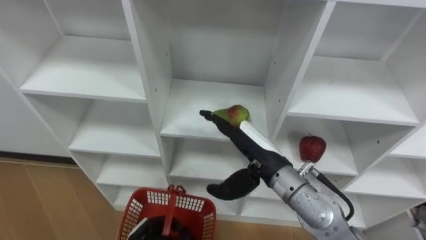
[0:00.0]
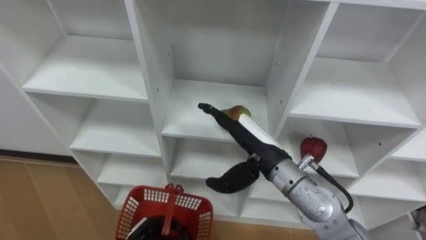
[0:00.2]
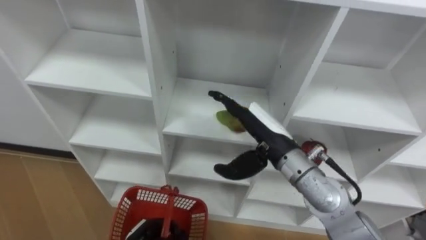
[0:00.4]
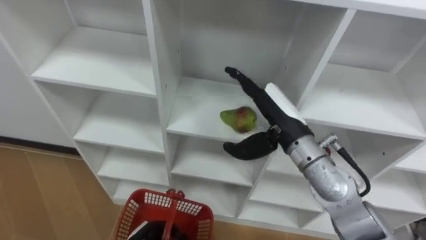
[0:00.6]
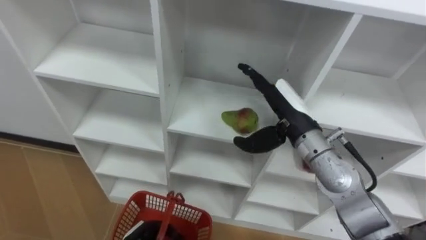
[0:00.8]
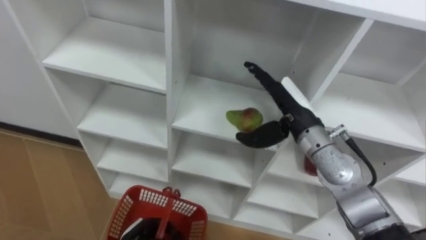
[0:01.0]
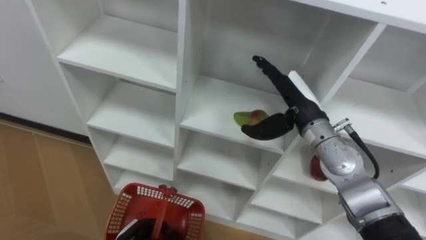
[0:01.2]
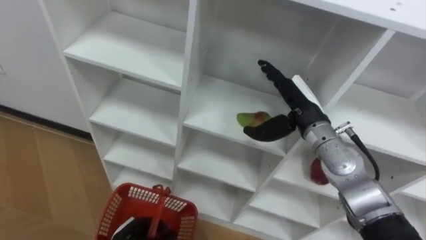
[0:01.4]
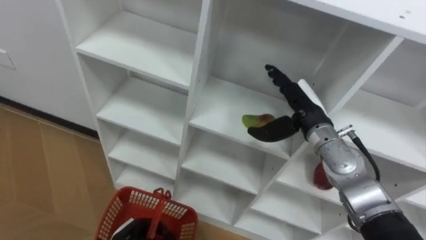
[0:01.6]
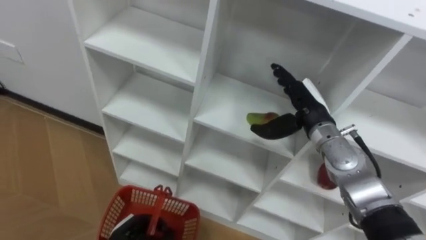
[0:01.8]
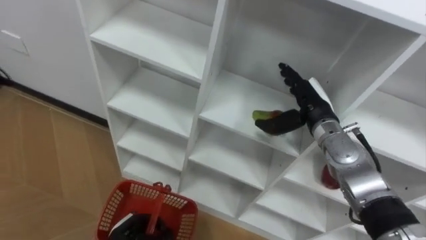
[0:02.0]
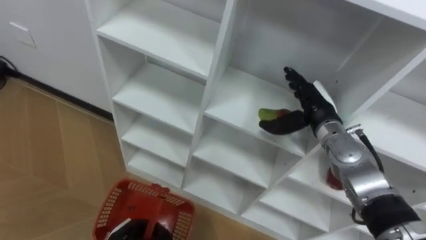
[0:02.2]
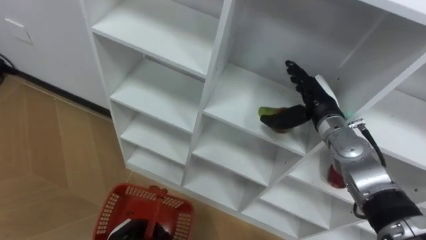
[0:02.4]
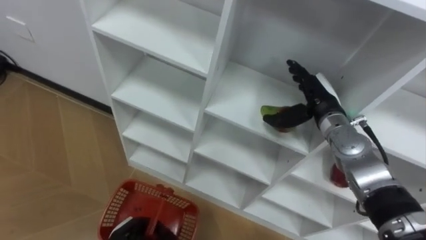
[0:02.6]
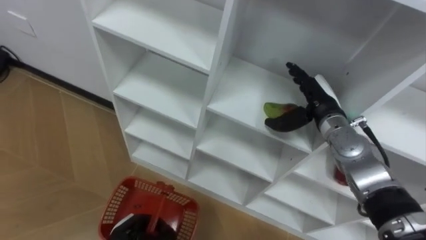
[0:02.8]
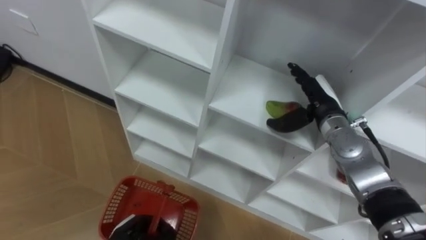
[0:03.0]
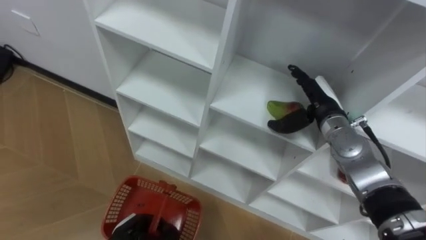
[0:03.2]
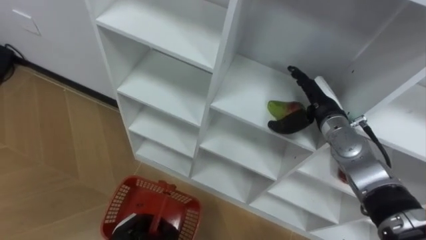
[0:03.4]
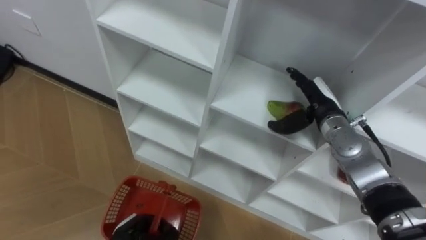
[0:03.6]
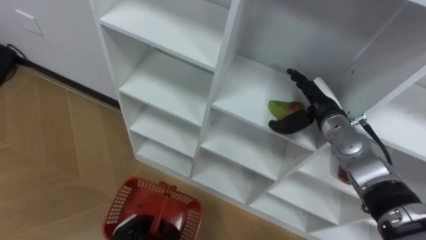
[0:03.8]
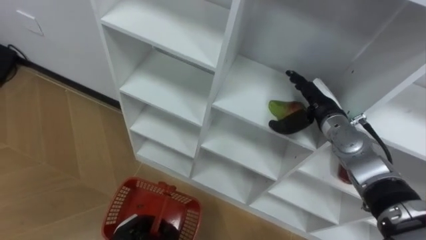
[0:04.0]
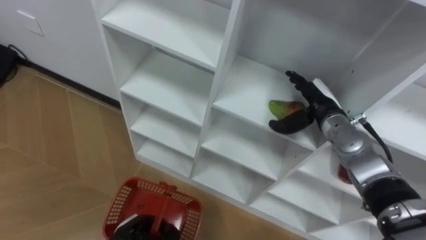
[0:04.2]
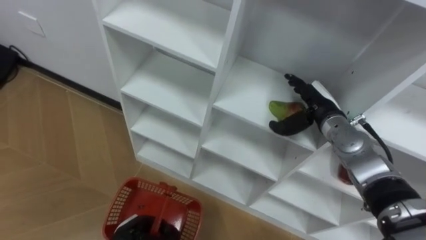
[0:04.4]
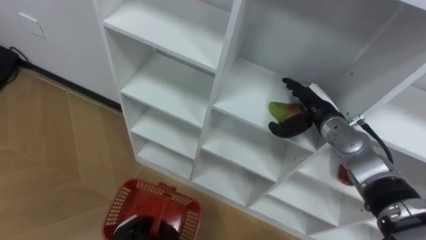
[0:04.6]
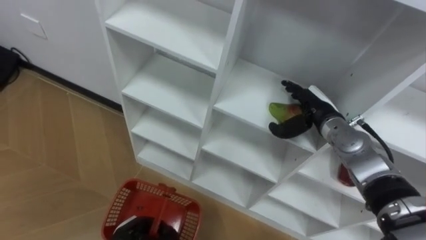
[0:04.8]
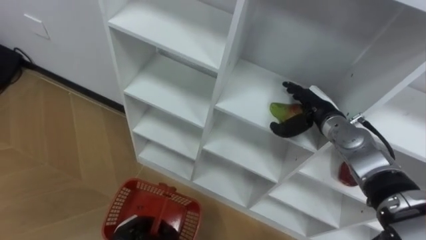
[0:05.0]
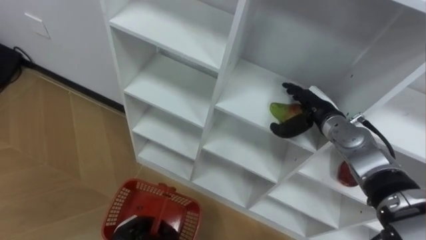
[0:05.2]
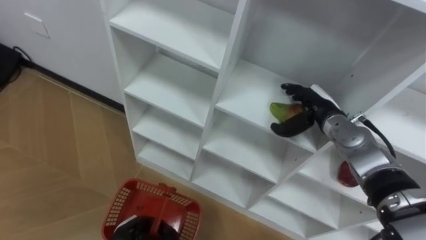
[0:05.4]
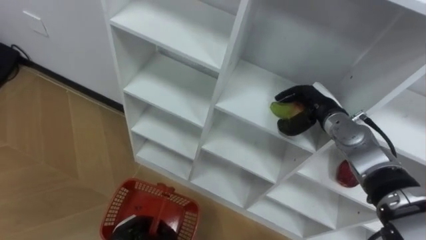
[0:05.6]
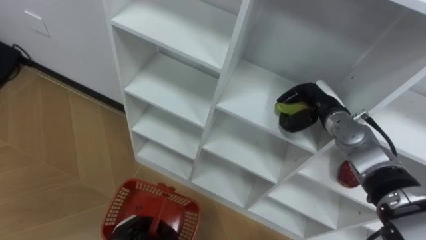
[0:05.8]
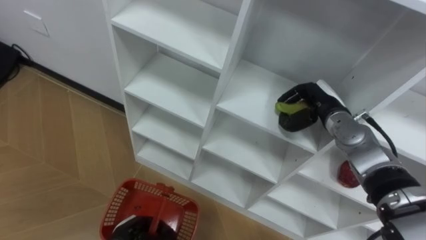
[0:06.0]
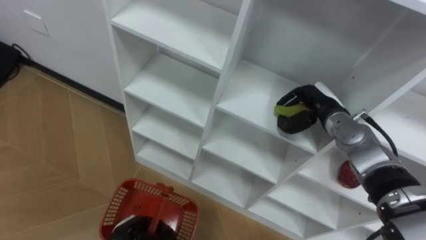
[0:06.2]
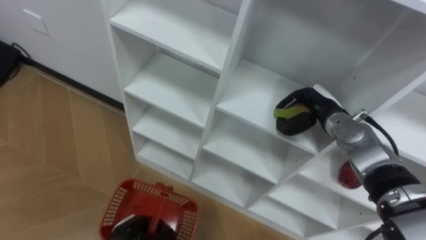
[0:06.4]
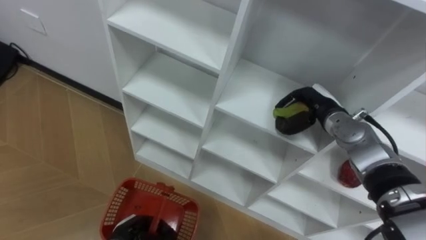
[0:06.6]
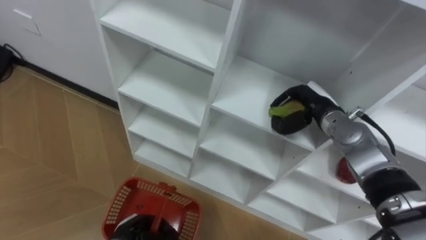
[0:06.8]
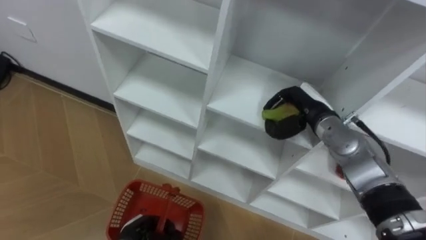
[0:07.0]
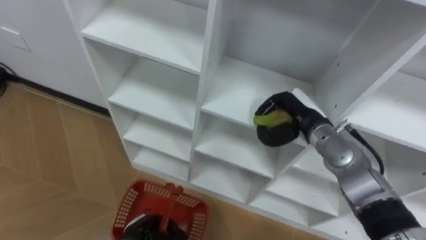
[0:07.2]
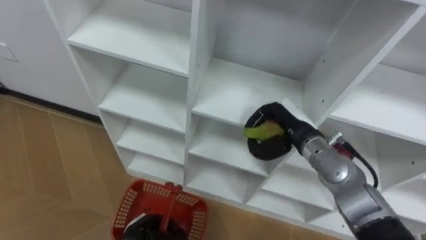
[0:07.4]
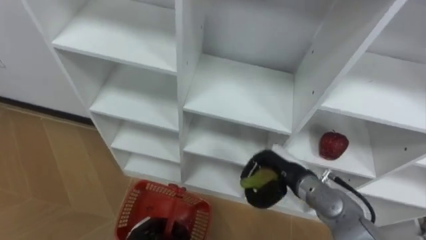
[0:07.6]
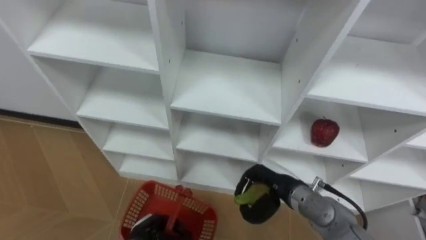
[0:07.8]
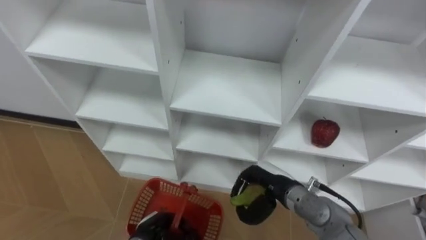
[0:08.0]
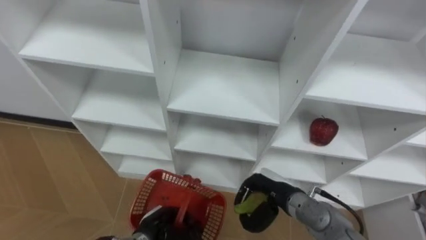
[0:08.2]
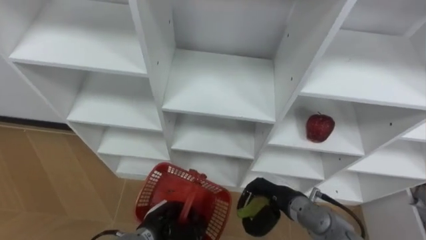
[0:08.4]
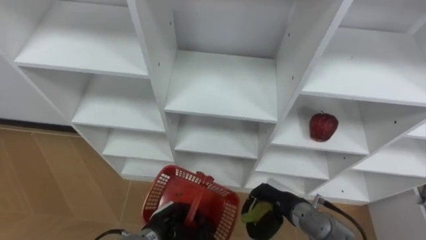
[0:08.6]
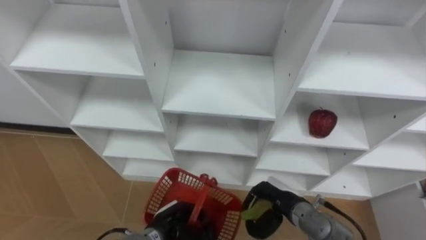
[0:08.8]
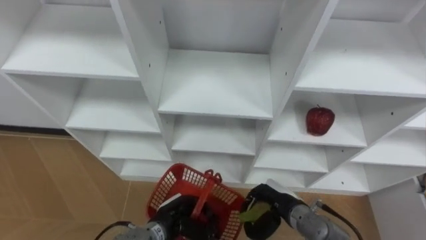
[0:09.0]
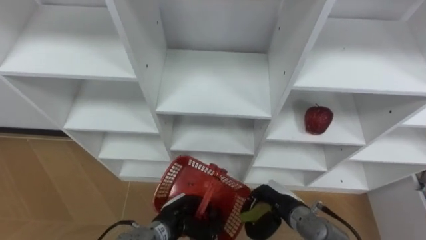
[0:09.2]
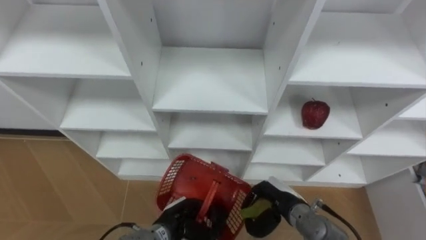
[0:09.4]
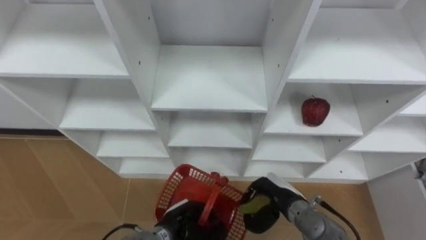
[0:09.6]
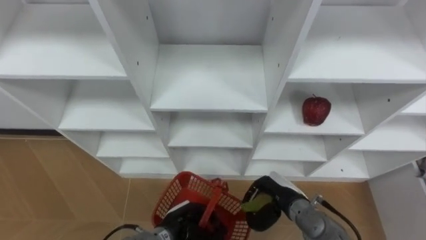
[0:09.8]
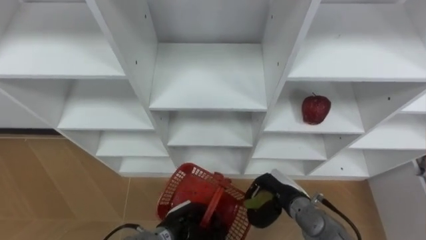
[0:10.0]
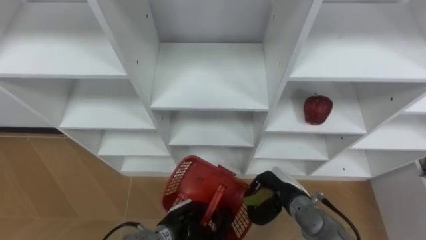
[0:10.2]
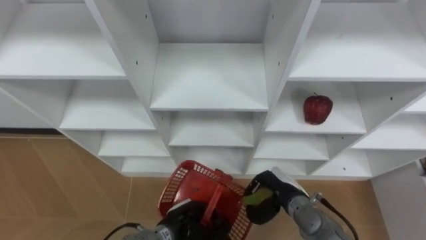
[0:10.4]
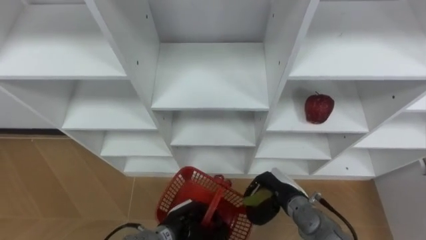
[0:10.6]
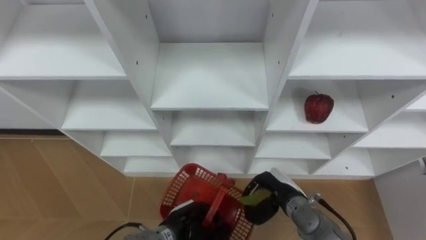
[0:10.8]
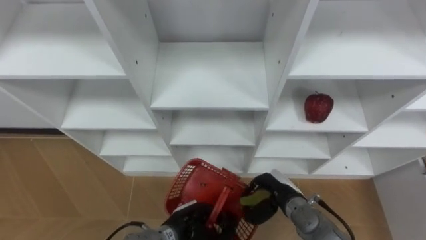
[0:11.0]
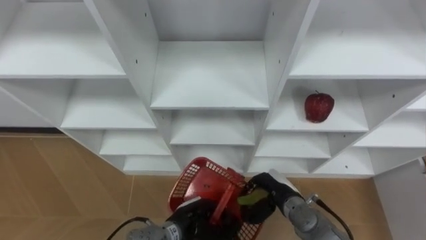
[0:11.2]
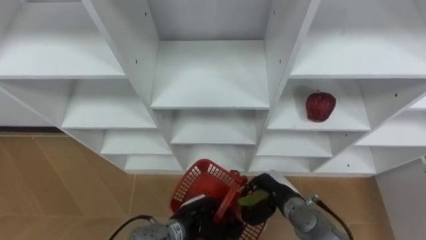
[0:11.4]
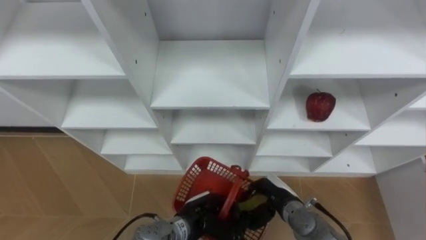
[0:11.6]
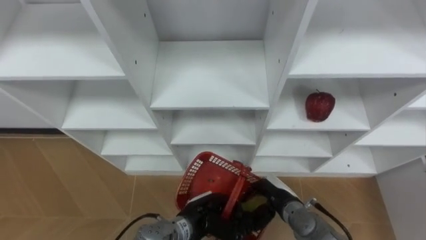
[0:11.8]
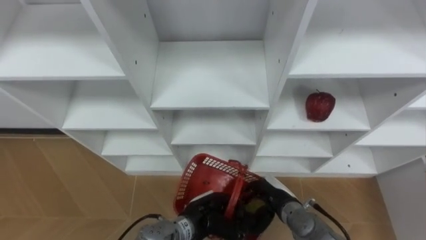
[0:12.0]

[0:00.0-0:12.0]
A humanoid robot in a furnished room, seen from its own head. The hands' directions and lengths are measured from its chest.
Task of the whole recording: Hold the basket and collect the fruits from 3 different cells of the closet into it.
0:00.0 to 0:01.6: The right hand shifts some 15 cm to the right and forward.
0:04.4 to 0:06.0: The right hand closes up.
0:06.0 to 0:07.6: The right hand goes roughly 15 cm backward, to the left and downward.
0:07.6 to 0:09.0: The right hand goes about 10 cm downward and backward; the left hand heads to the right, covering about 5 cm.
0:10.4 to 0:12.0: The left hand is displaced to the right by some 5 cm.

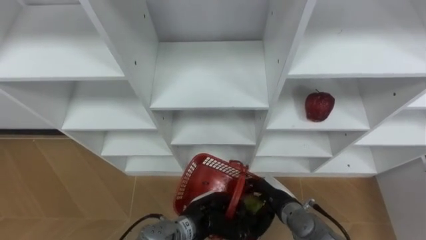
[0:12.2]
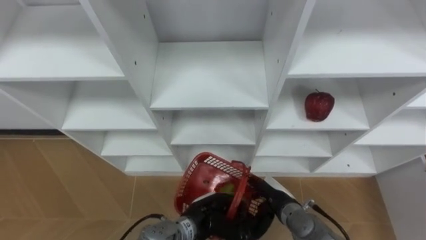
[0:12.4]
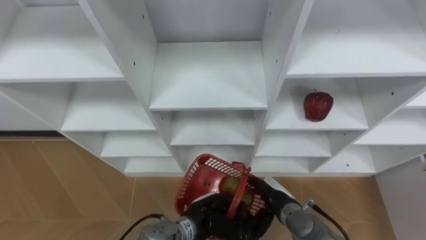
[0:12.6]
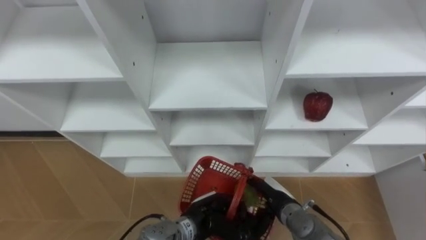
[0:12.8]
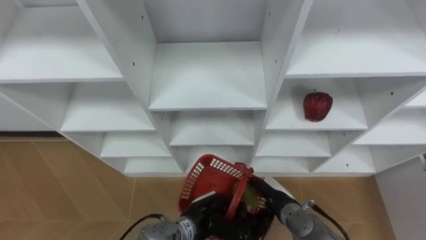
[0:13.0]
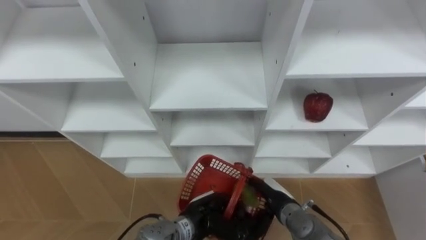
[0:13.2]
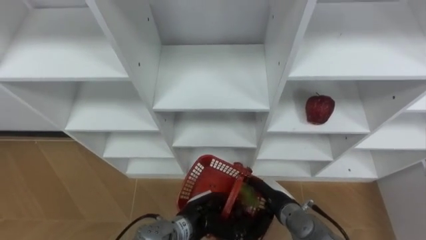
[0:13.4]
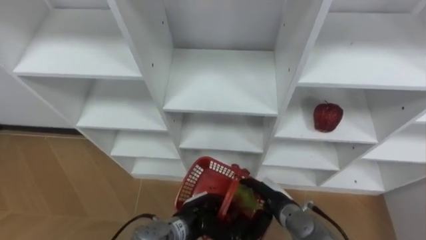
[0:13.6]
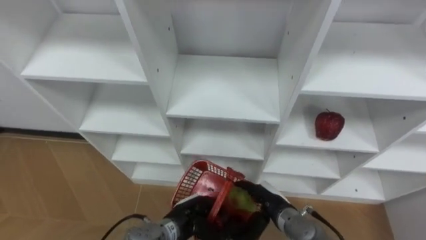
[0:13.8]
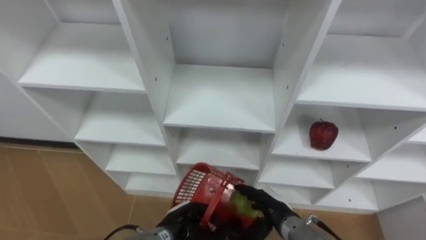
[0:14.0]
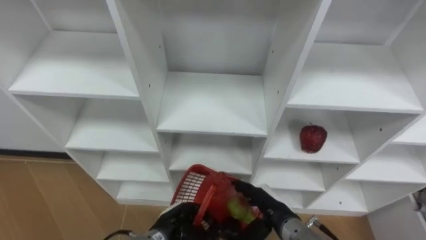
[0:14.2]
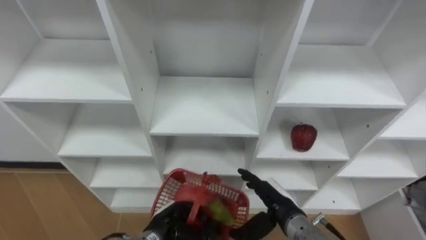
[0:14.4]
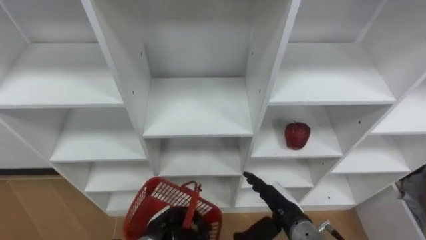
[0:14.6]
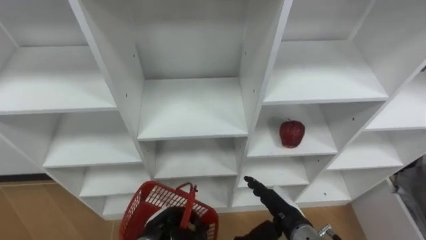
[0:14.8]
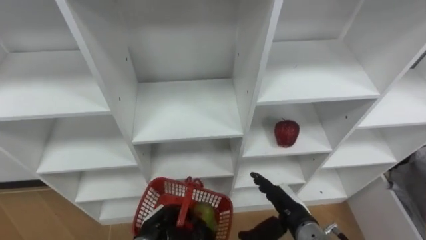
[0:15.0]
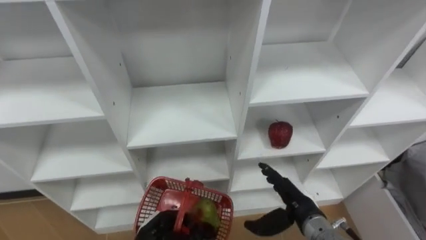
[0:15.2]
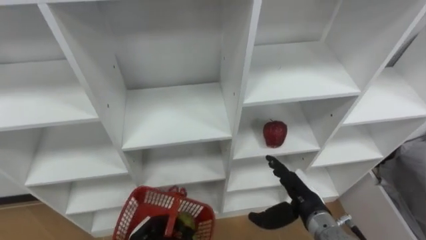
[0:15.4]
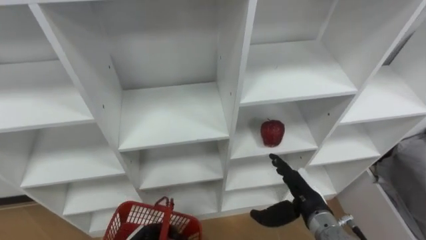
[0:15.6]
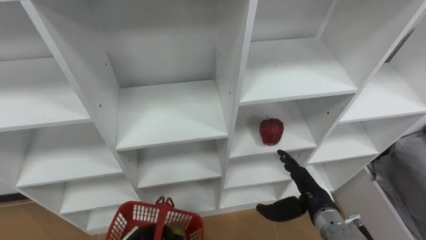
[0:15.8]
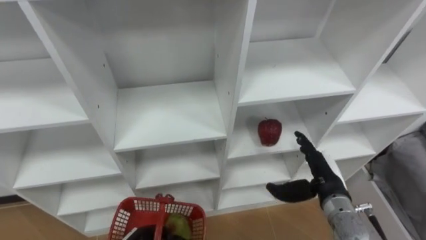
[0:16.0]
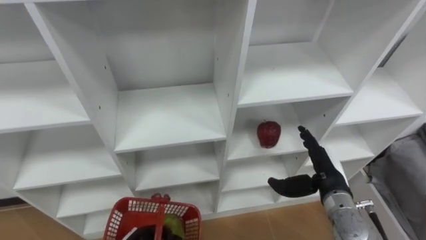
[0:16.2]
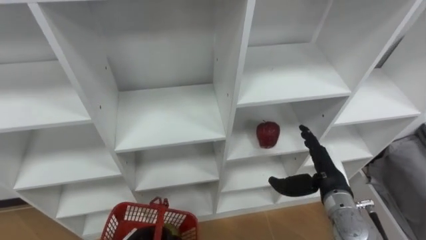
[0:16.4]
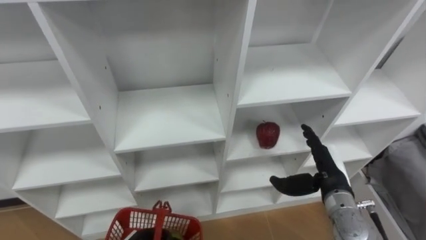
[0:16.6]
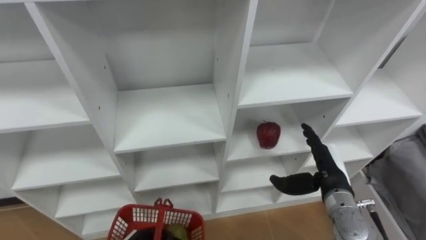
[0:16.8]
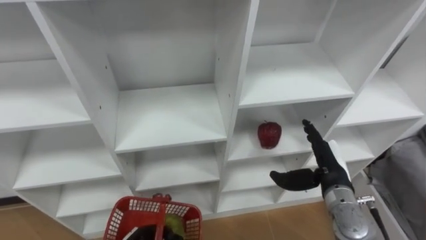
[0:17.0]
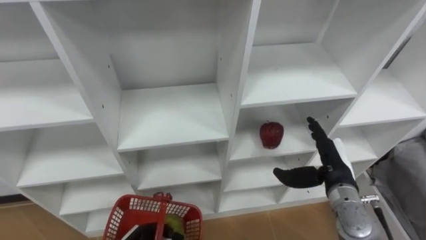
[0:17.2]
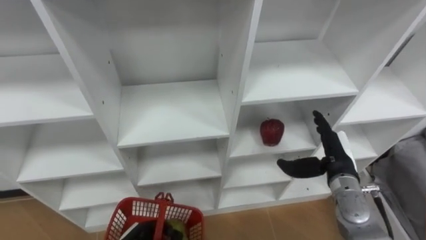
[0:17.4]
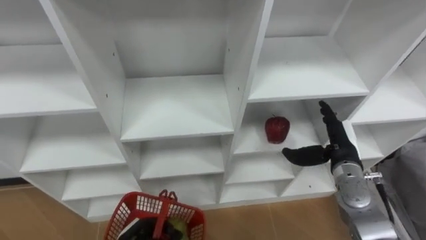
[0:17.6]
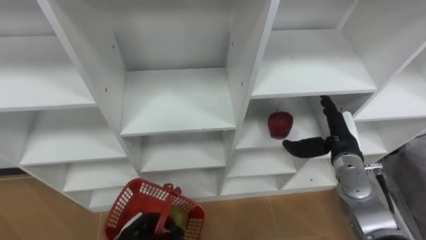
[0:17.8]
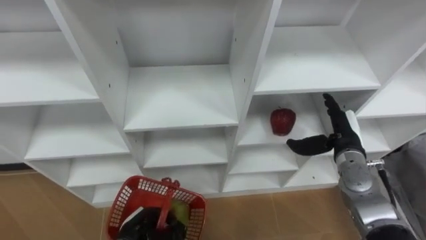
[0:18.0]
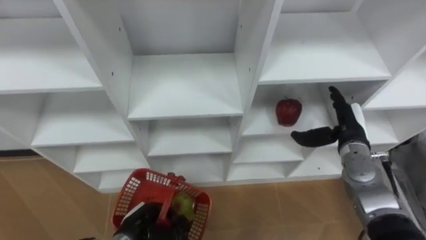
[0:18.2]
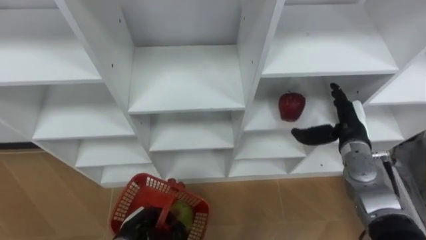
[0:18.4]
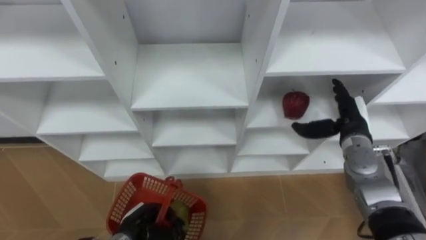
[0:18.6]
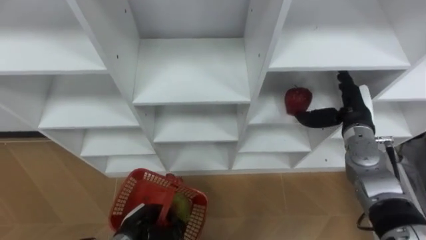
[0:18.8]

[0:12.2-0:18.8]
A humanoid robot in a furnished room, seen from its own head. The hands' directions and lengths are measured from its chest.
Task of the whole recording: Hold the basket and collect the fruits from 3 different cells of the closet into it.
0:13.8 to 0:15.4: The right hand is displaced to the right and upward by approximately 10 cm. The left hand is displaced to the left by some 10 cm.
0:15.4 to 0:17.2: The right hand travels to the right by approximately 5 cm.
0:17.2 to 0:18.8: The right hand is displaced forward and upward by roughly 10 cm.
